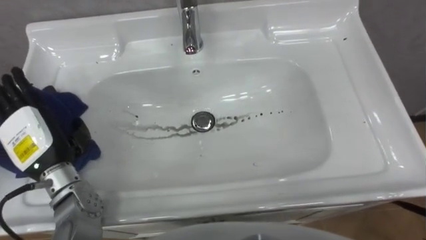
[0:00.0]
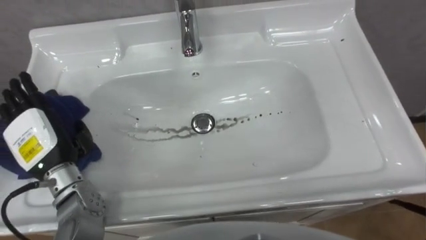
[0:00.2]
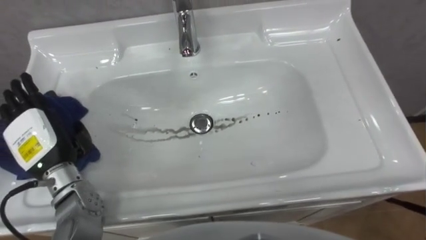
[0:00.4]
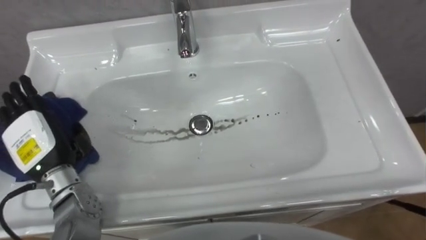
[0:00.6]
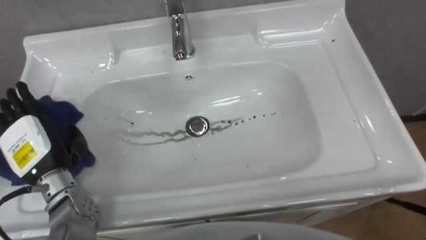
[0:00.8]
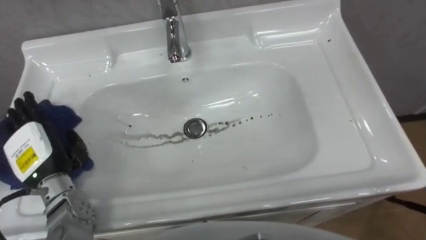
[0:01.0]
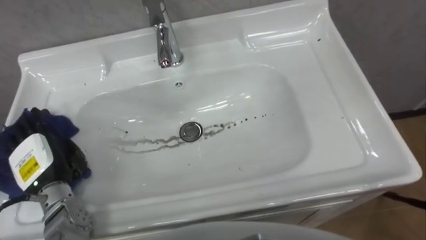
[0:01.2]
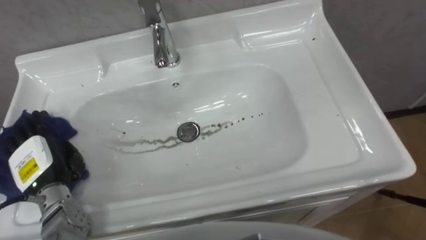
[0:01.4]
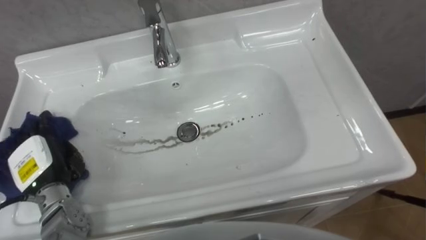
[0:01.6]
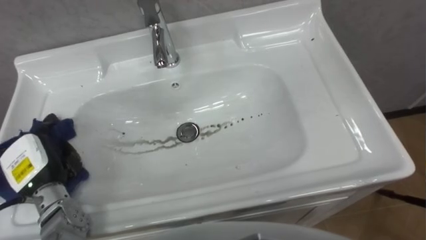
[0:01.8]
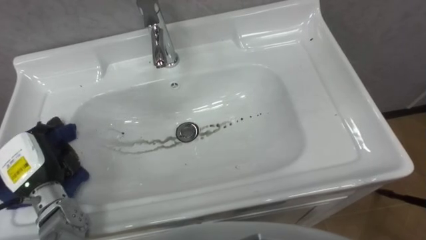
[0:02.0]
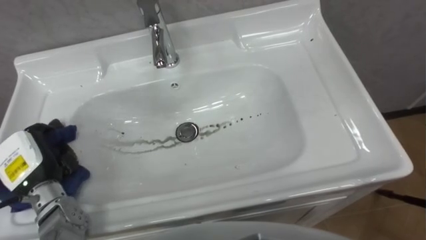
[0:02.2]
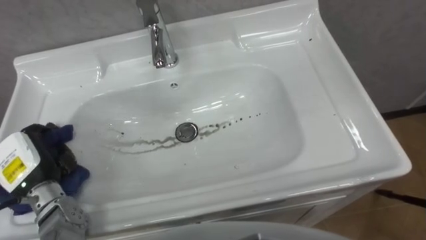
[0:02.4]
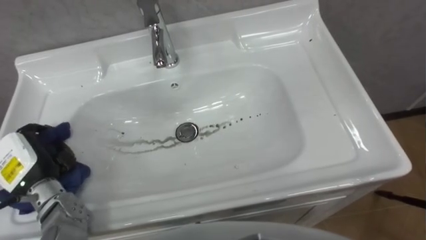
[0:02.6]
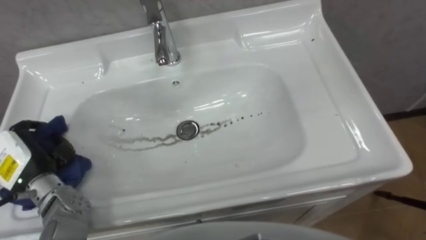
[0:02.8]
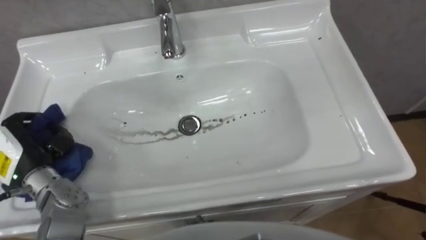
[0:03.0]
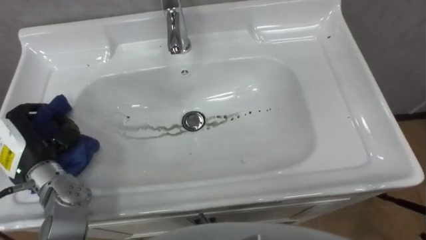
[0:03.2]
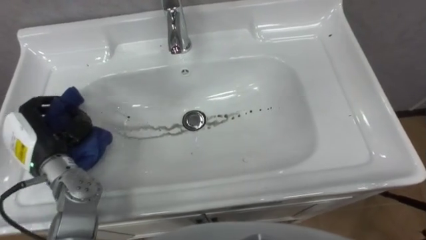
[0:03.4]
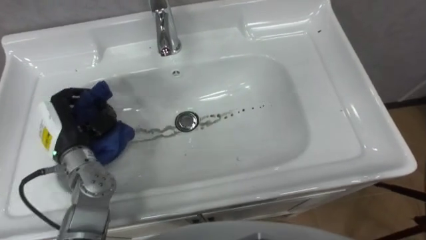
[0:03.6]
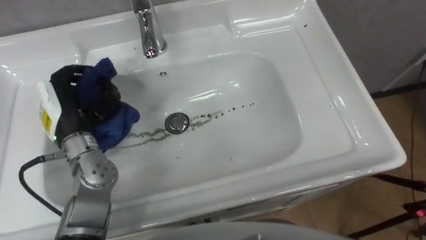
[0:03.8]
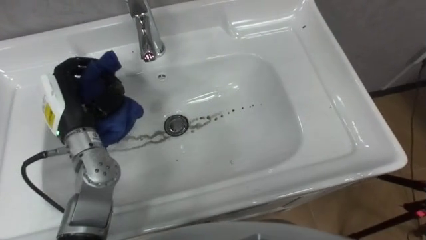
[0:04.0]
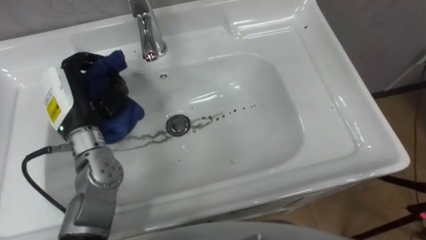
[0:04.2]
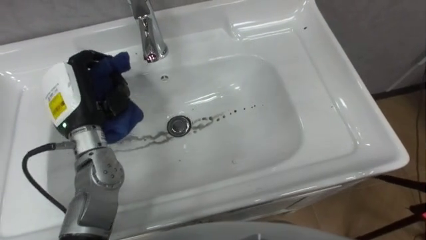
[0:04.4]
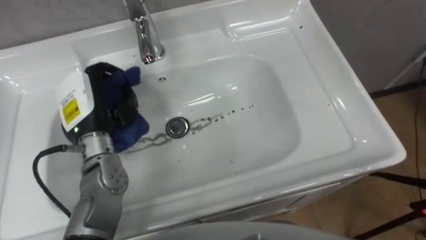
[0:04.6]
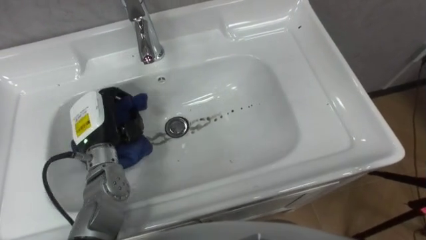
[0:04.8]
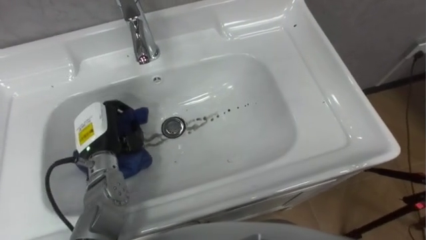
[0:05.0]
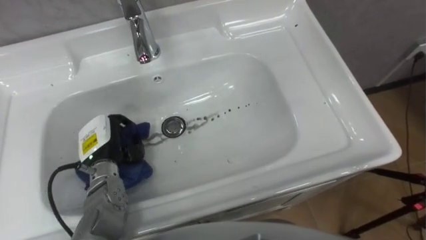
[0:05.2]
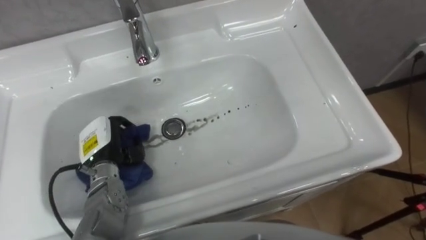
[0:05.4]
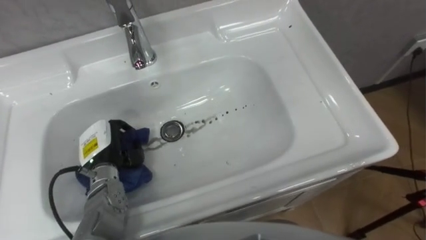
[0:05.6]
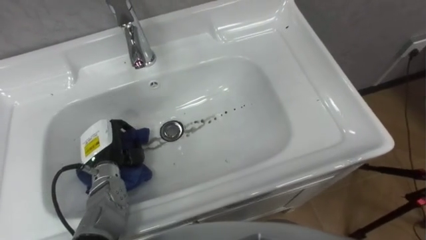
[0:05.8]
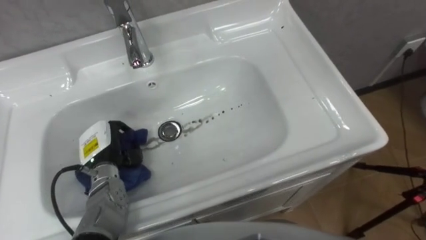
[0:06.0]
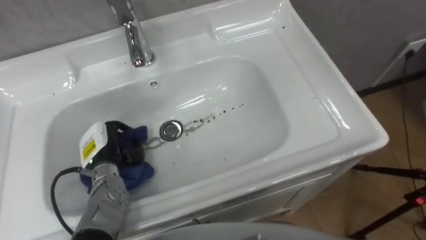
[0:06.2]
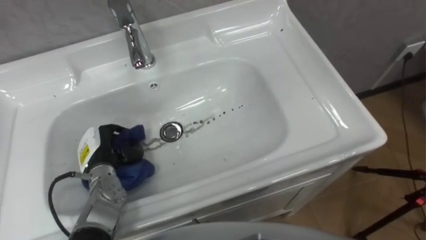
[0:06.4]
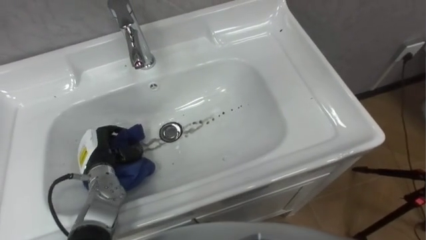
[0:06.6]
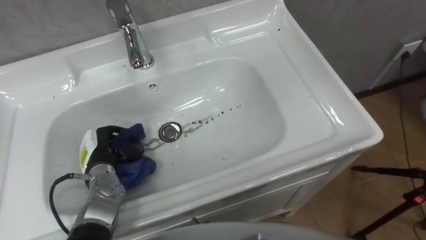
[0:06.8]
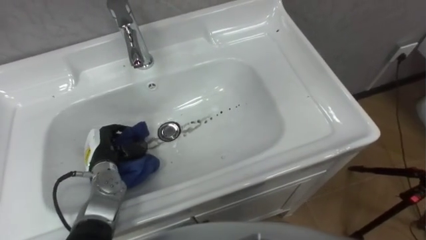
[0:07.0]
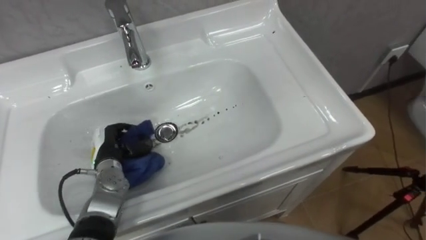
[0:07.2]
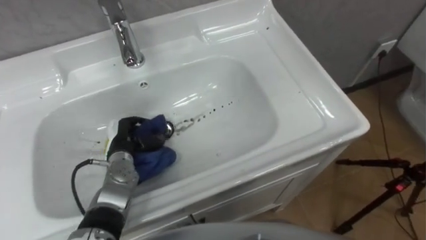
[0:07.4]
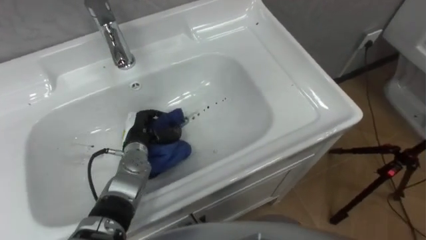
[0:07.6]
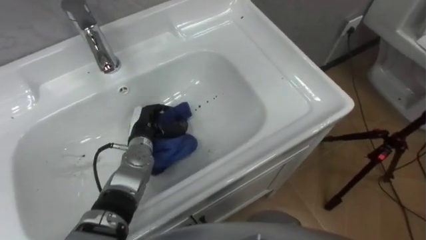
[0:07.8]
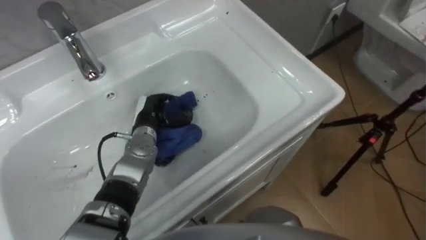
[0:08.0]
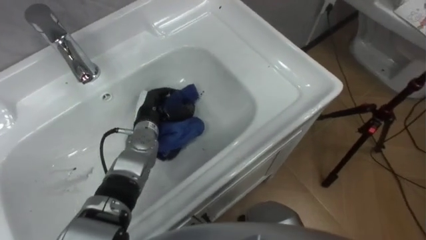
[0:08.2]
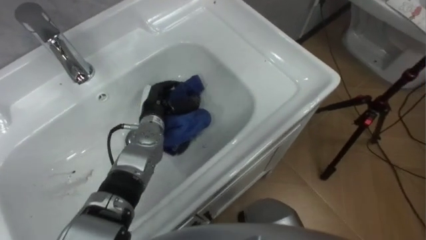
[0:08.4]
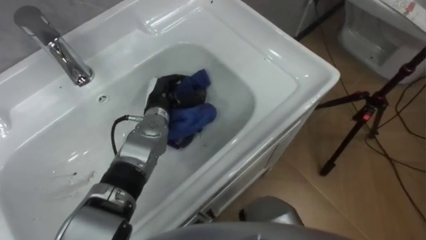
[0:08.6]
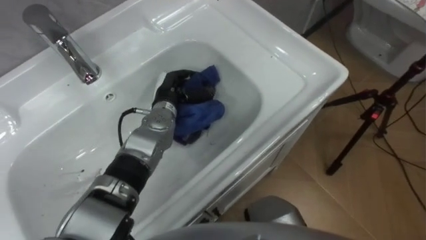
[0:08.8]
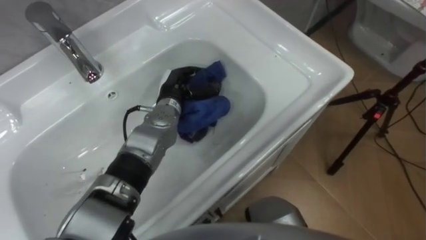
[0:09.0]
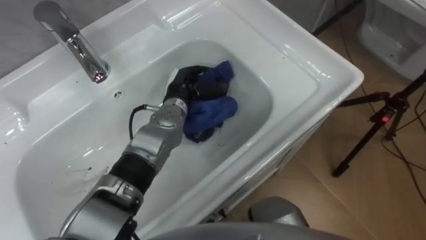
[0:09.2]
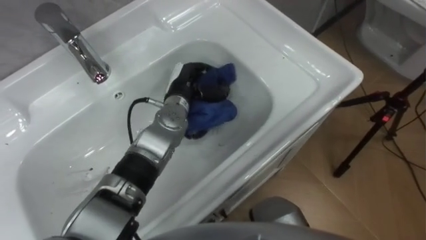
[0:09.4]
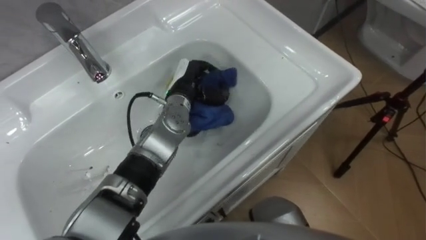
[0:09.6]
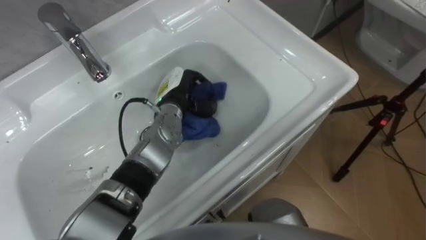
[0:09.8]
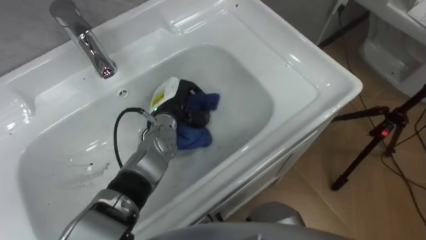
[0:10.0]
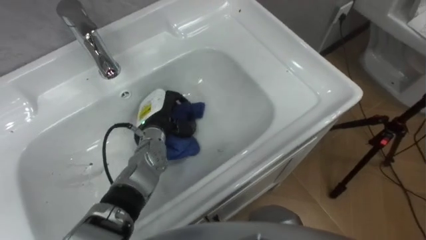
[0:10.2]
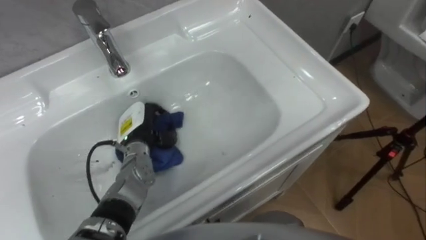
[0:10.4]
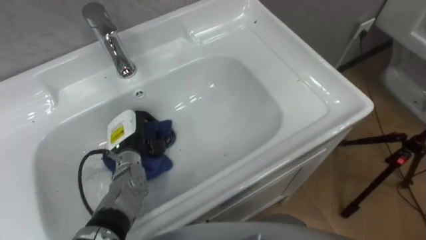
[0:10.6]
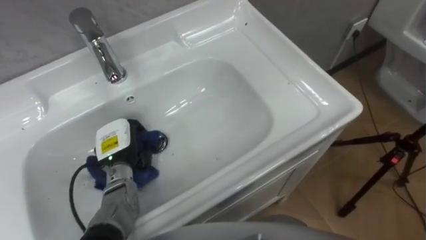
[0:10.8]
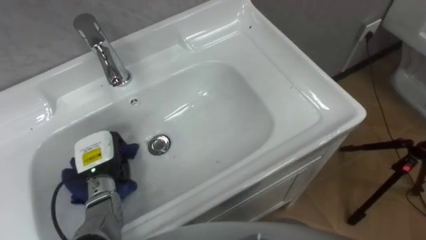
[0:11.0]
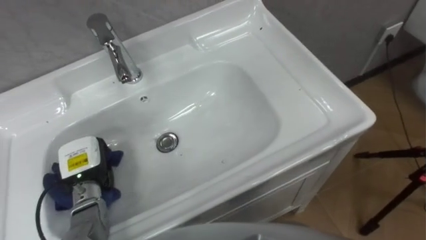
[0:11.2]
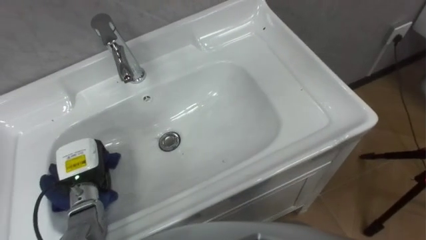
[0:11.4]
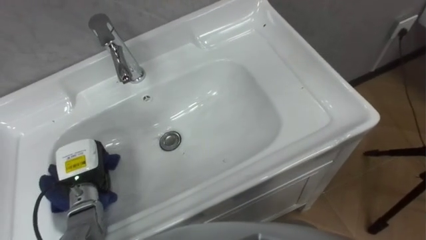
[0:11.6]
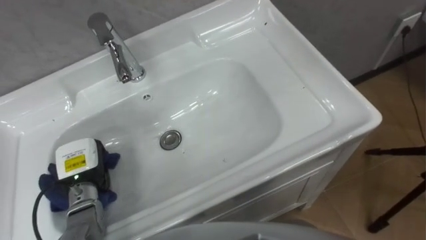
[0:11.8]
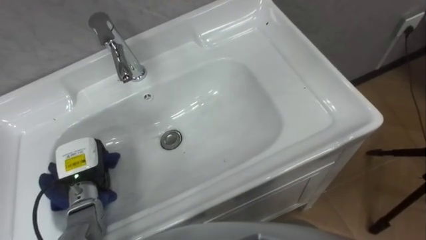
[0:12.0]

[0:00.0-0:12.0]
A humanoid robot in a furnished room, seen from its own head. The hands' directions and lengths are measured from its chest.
Task of the whole recording: Use the cloth on the right to wipe away the black stain in the sink.
0:00.0 to 0:01.6: The left hand moves downward, roughly 10 cm.
0:01.6 to 0:03.0: The left hand closes its fingers.
0:03.0 to 0:04.4: The left hand is displaced to the right, upward and forward by roughly 15 cm.
0:04.4 to 0:06.0: The left hand travels downward by approximately 15 cm.
0:06.0 to 0:07.6: The left hand goes roughly 5 cm to the right.
0:07.6 to 0:09.0: The left hand goes some 15 cm to the right, forward and upward.
0:09.0 to 0:10.4: The left hand travels to the left, backward and downward by approximately 10 cm.
0:10.4 to 0:12.0: The left hand shifts roughly 15 cm to the left and backward.

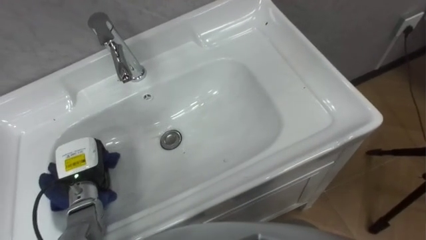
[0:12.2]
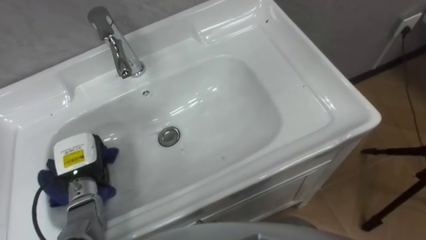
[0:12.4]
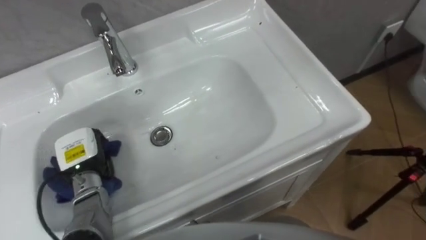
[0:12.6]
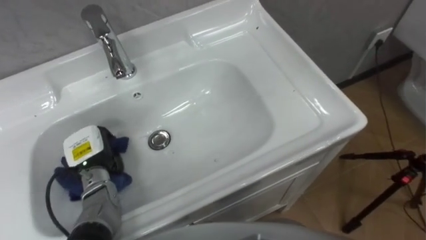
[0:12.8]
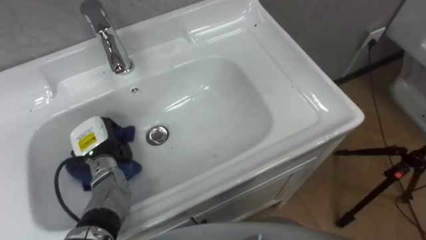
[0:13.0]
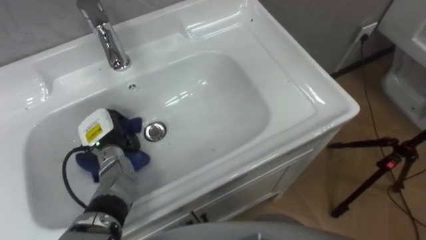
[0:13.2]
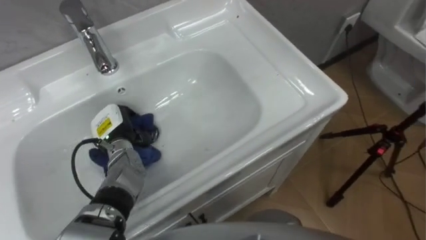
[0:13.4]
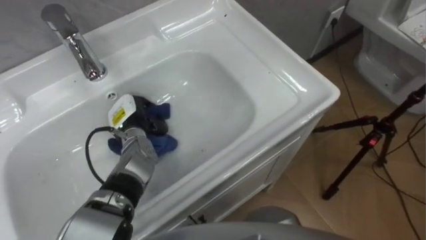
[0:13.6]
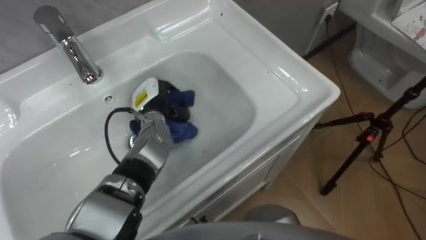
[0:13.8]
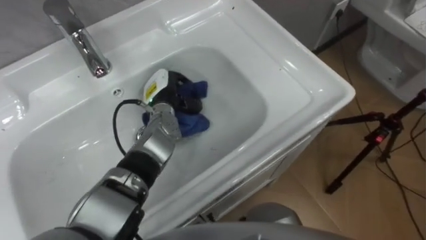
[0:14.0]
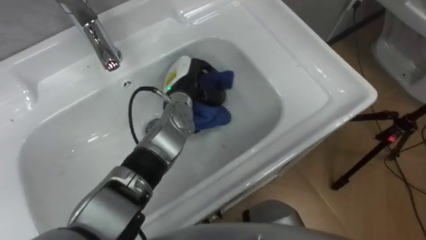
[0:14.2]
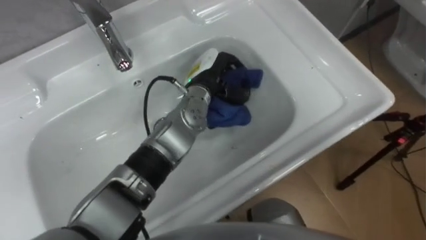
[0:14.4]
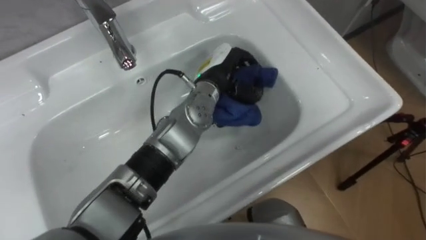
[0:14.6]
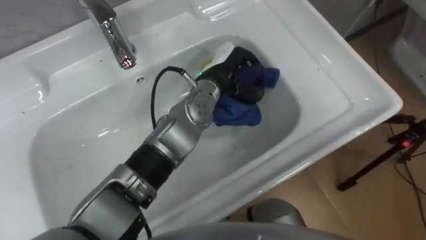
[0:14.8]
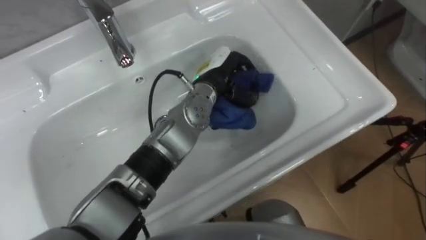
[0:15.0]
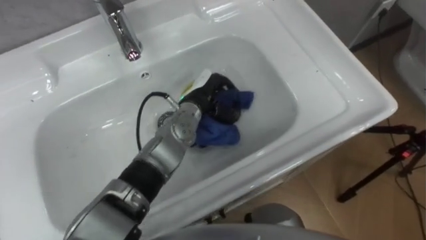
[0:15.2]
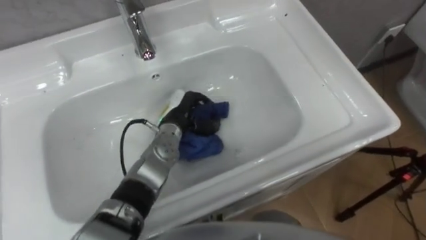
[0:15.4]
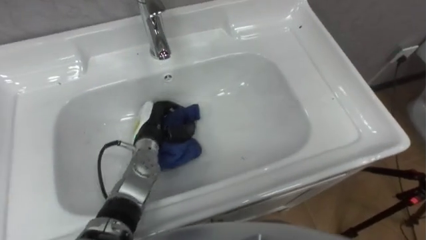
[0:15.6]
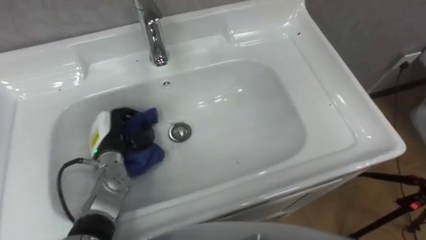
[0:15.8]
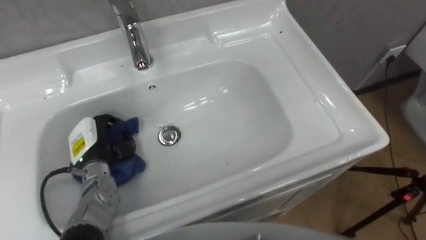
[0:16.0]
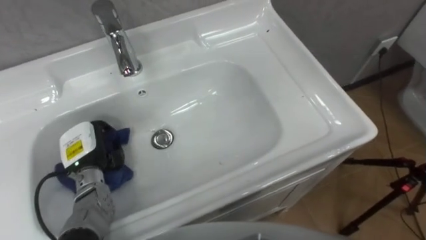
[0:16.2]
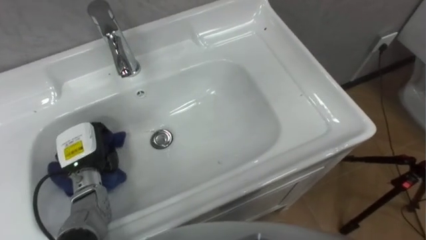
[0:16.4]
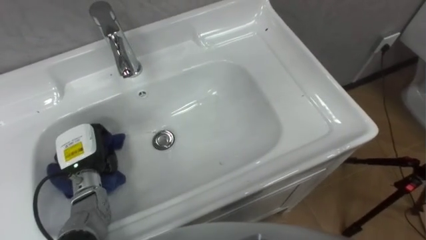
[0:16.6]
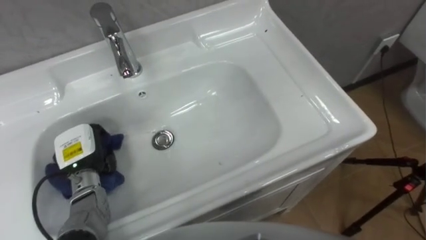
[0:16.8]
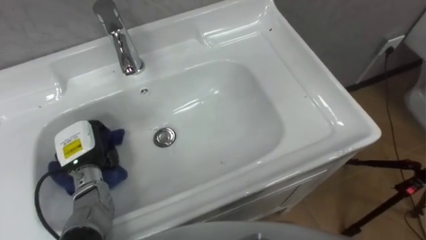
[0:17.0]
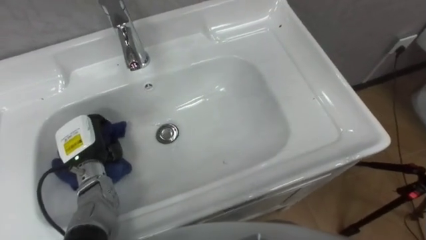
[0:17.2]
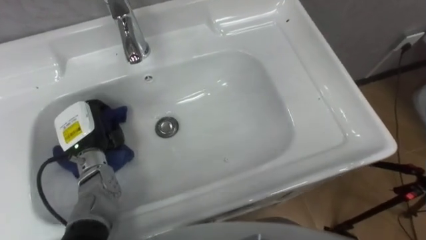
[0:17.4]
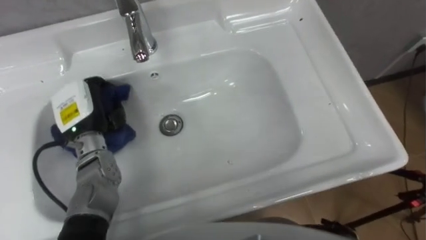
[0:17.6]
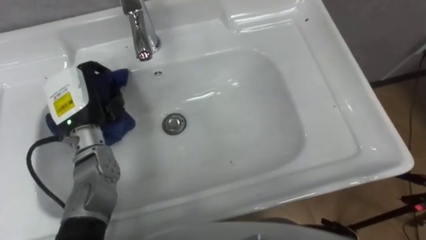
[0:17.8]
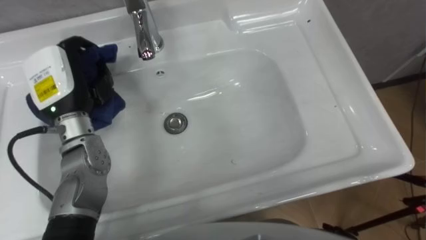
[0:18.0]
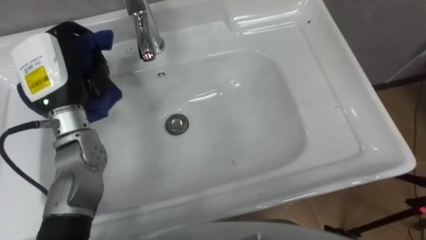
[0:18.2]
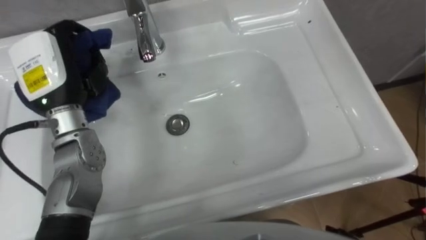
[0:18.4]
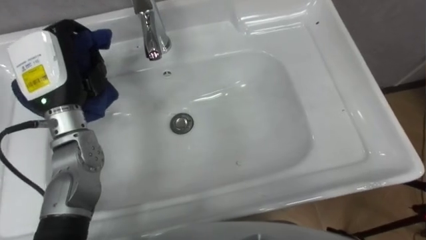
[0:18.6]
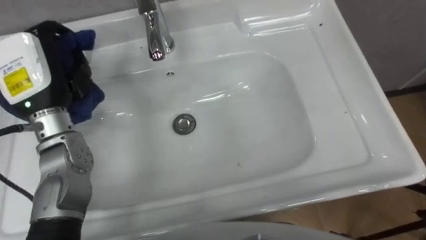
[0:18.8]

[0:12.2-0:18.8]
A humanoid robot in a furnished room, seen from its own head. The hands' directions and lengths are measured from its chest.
Task of the whole recording: Use the cloth on the right to wipe away the black stain in the sink.
0:12.2 to 0:13.8: The left hand is displaced to the right and forward by roughly 20 cm.
0:13.8 to 0:15.4: The left hand moves to the right, roughly 5 cm.
0:15.4 to 0:17.2: The left hand is displaced to the left by about 20 cm.
0:17.2 to 0:18.8: The left hand goes roughly 20 cm upward.
